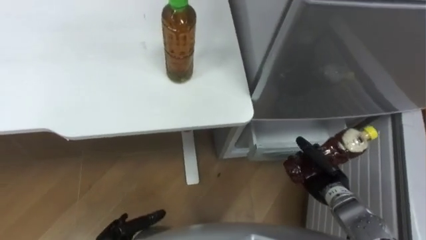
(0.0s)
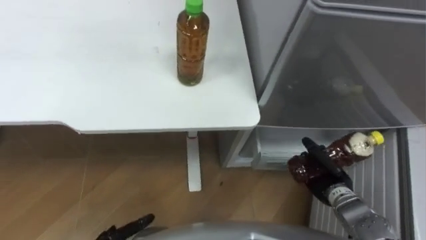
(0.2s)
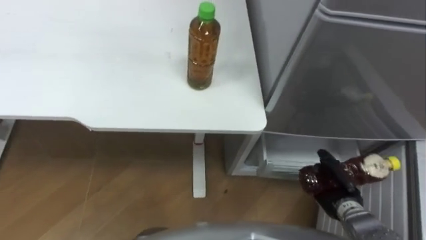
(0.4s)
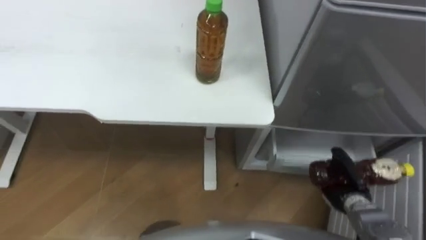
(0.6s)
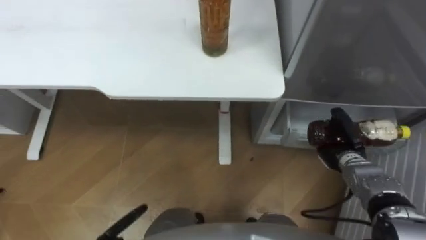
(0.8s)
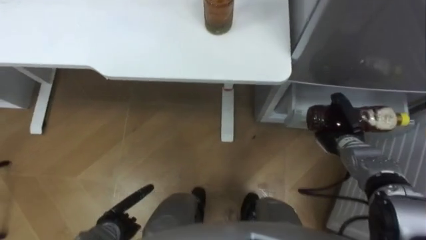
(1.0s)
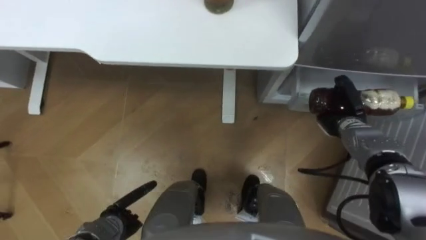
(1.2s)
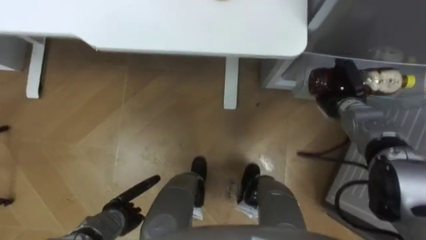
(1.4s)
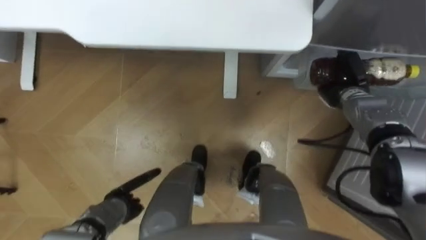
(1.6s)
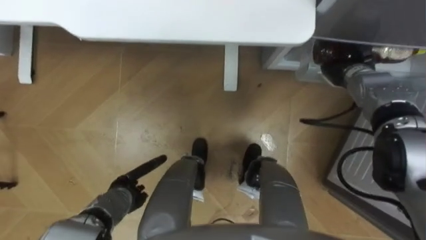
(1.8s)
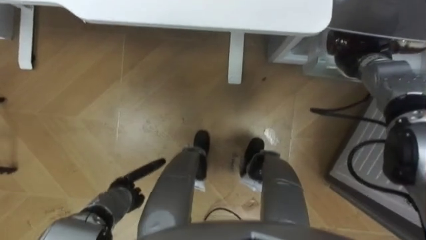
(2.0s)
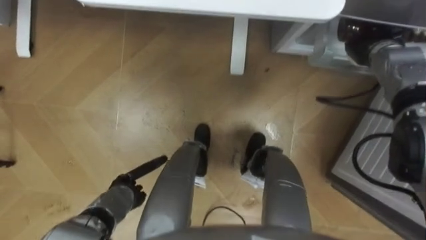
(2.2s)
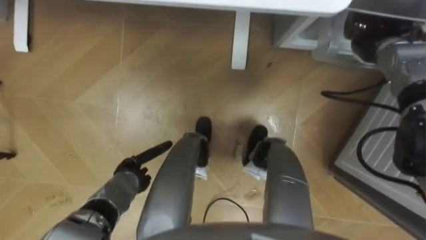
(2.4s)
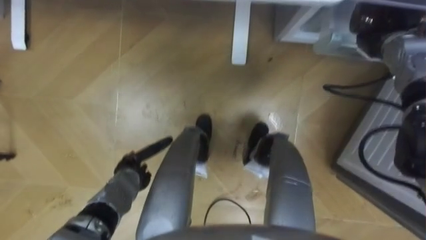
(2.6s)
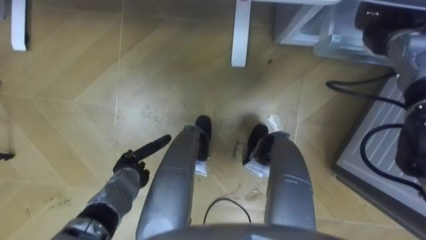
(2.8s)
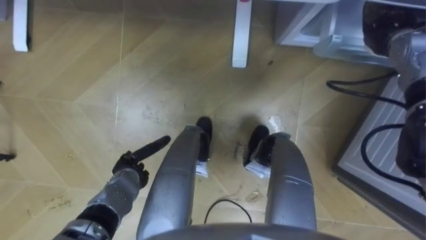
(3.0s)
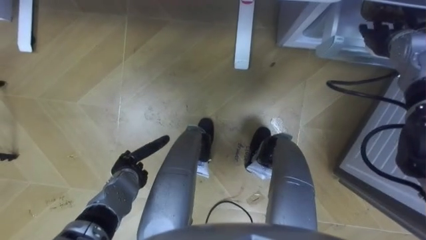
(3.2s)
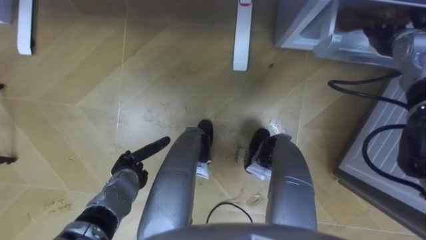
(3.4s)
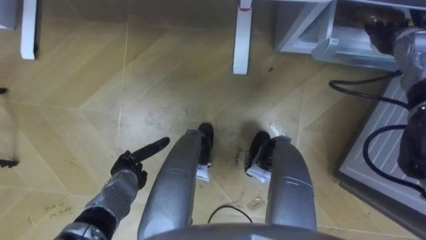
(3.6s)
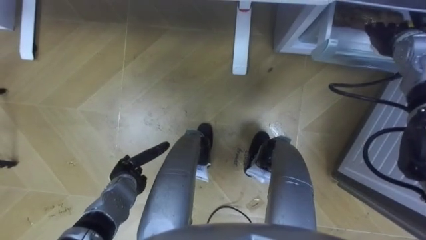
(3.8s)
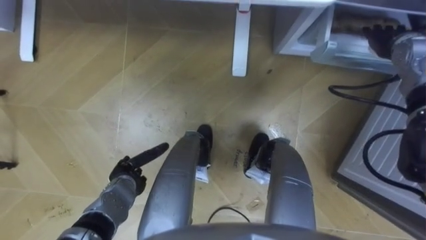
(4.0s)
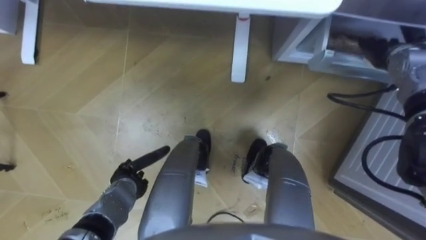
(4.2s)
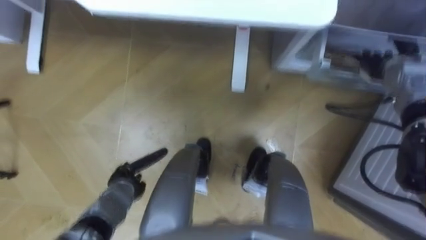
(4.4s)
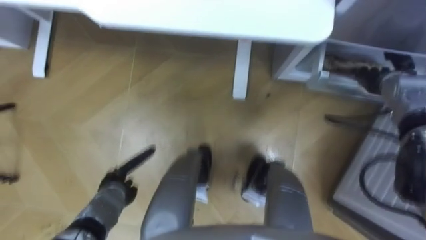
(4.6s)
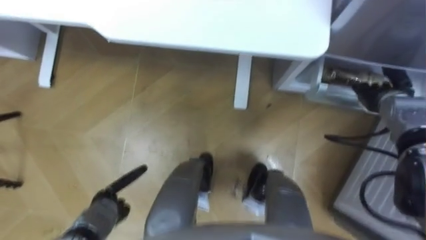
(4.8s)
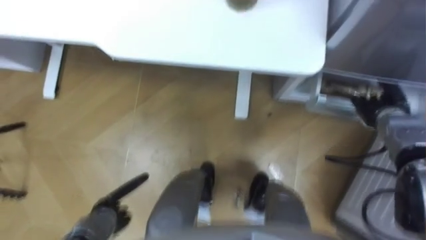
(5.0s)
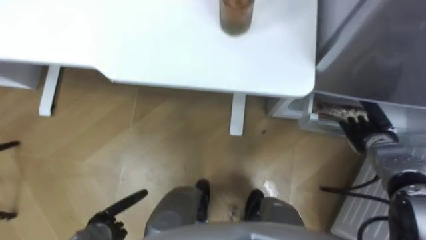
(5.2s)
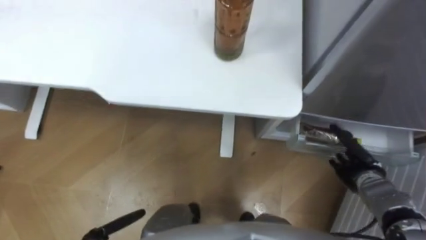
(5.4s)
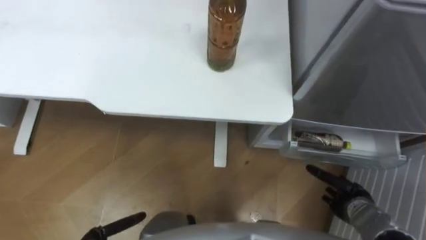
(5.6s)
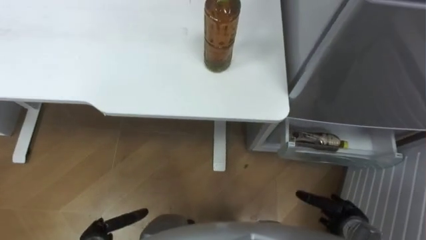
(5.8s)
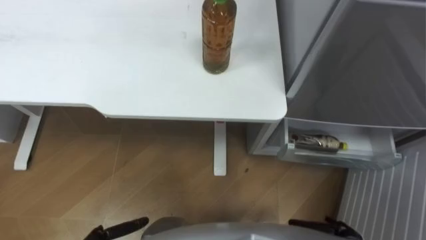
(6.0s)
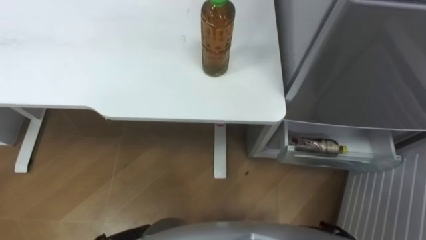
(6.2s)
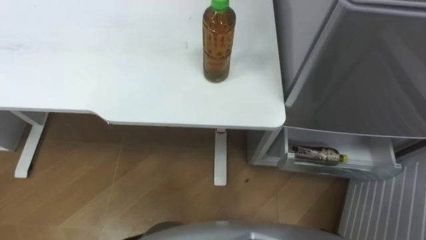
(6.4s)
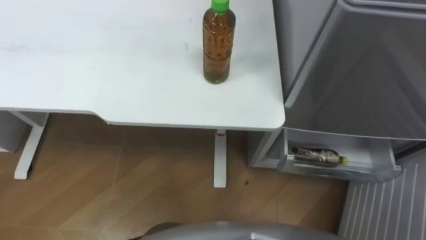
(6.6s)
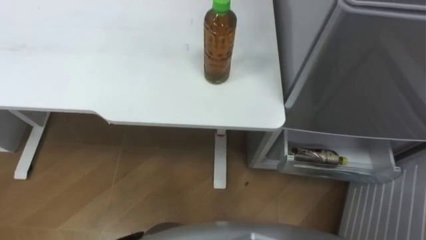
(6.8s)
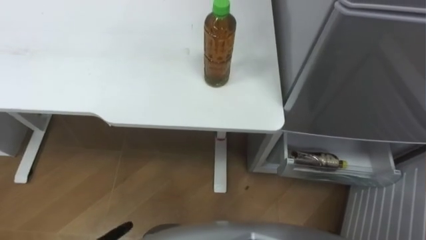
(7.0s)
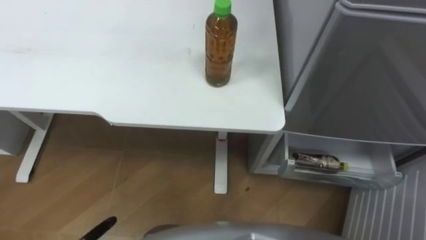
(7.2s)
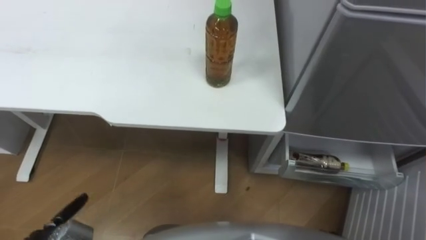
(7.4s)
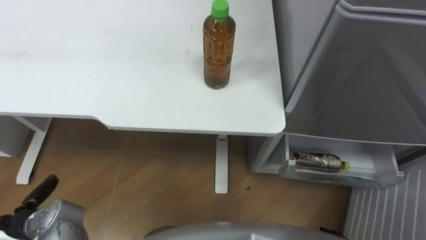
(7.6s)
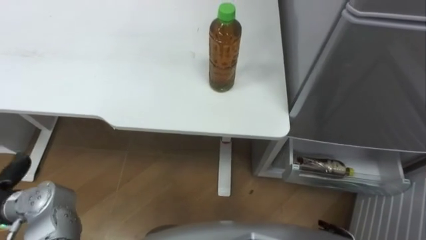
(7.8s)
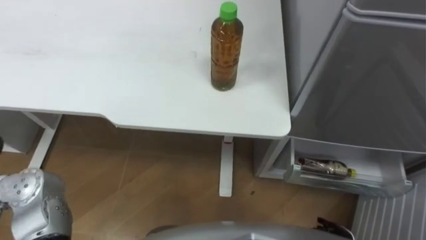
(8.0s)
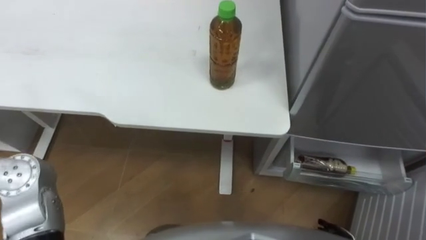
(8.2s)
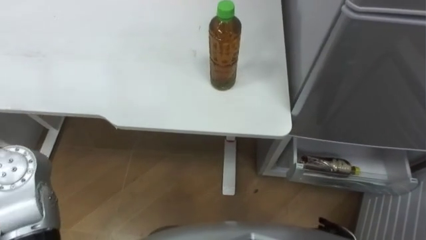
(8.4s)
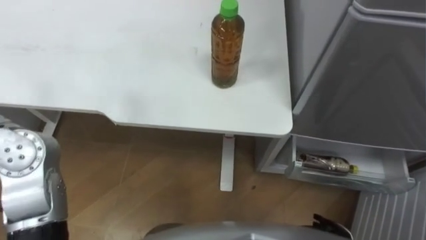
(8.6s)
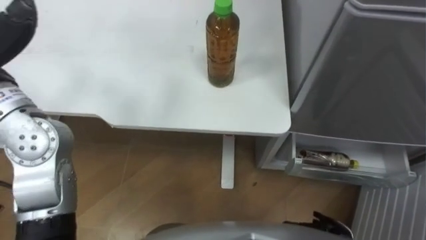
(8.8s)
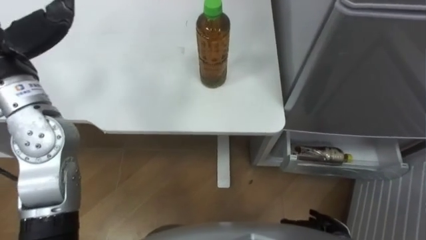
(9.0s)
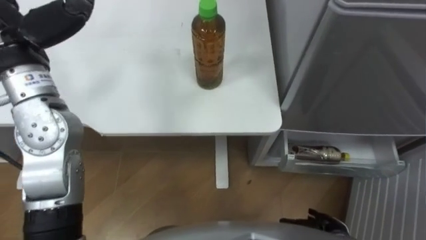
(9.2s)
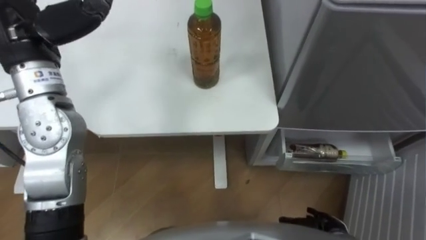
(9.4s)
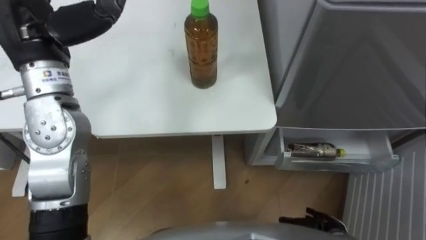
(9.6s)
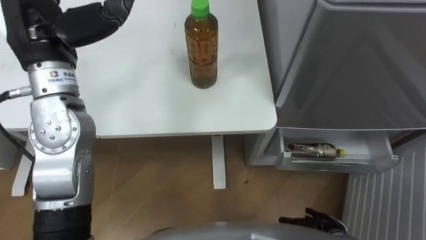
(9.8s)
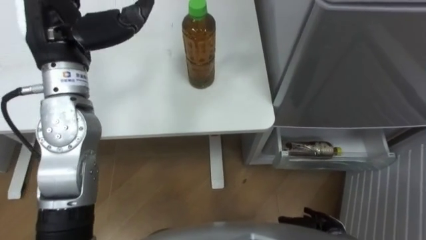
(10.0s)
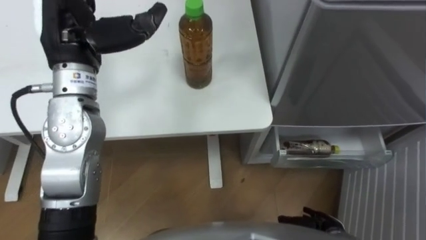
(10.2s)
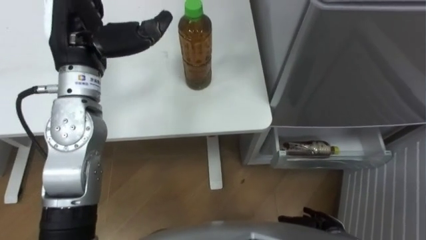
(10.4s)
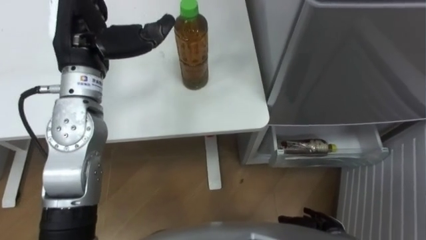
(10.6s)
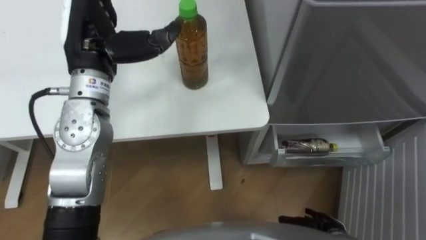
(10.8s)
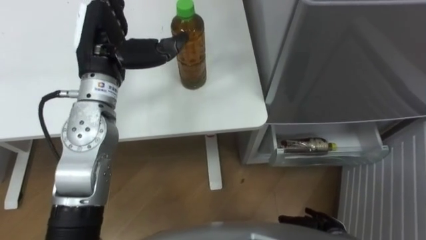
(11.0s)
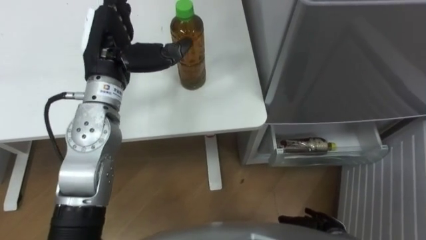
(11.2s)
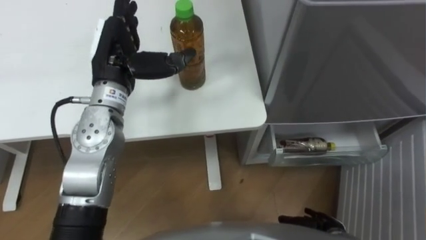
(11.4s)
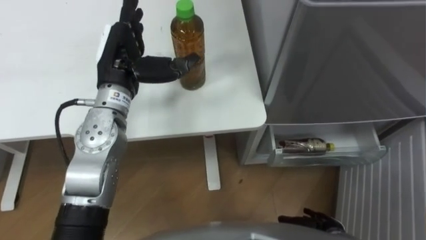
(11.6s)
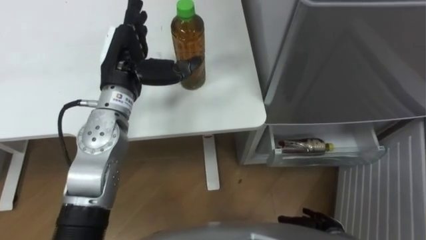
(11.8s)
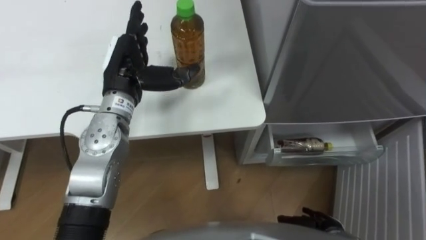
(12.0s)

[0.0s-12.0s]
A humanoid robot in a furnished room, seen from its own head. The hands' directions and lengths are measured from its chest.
Task of the whole recording: Place the drink on the table on the bottom shelf of the refrigerator, then close the drawer and the refrigerator door.
0.0s to 1.6s: The right hand shifts about 20 cm forward and upward.
1.6s to 3.0s: The left hand moves forward, approximately 5 cm. Meanwhile the right hand is displaced upward, to the right and forward by some 15 cm, and opens its fingers.
3.0s to 4.4s: The right hand ends up about 5 cm from where it was.
4.4s to 6.0s: The right hand heads backward and downward, covering approximately 40 cm.
10.4s to 12.0s: The left hand shifts some 10 cm downward.

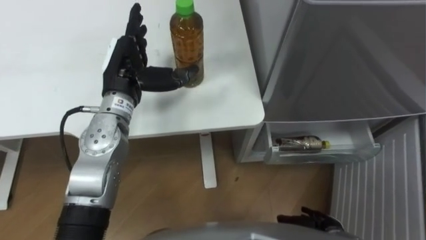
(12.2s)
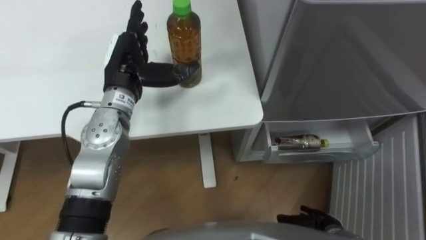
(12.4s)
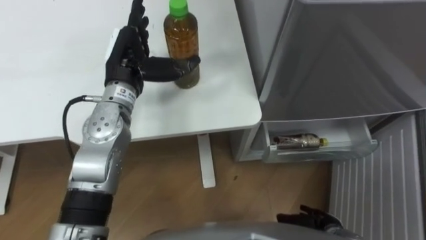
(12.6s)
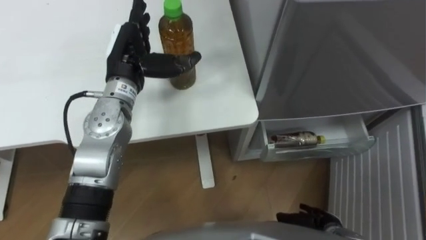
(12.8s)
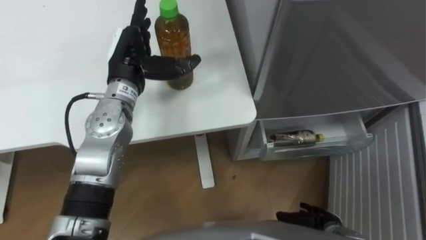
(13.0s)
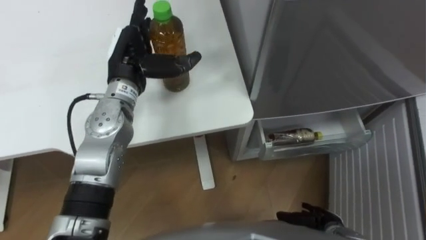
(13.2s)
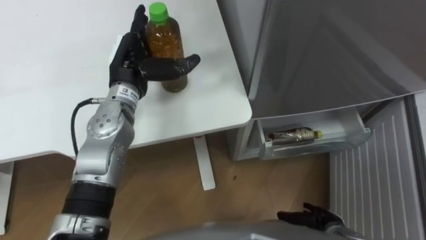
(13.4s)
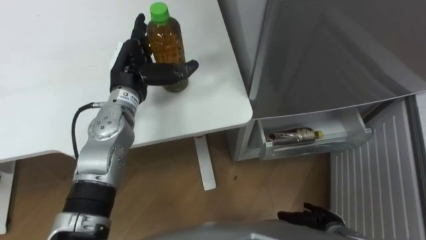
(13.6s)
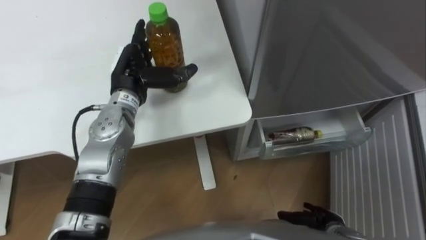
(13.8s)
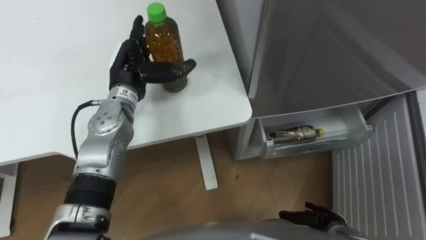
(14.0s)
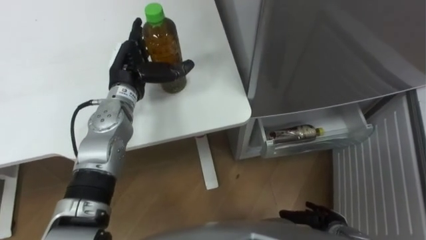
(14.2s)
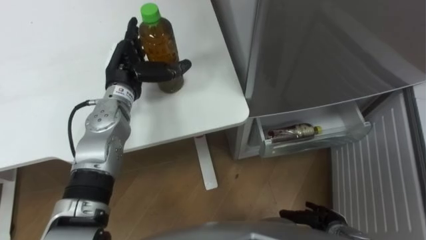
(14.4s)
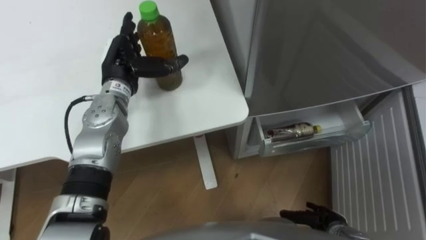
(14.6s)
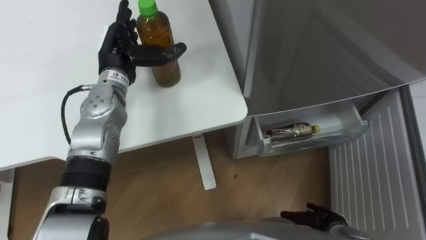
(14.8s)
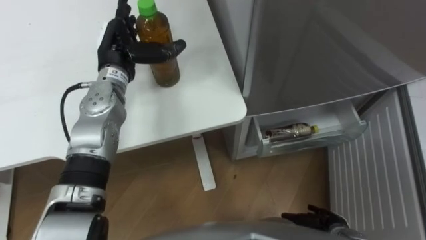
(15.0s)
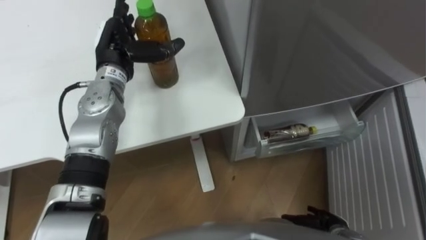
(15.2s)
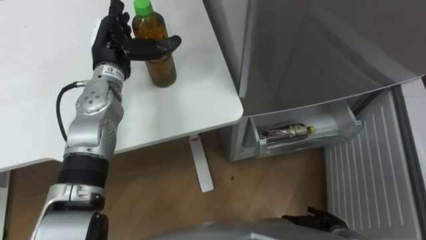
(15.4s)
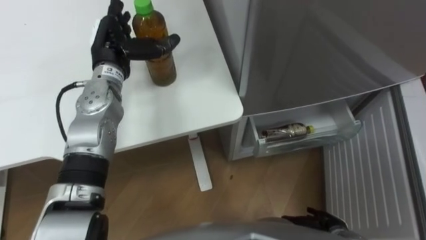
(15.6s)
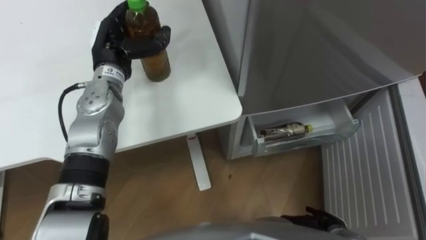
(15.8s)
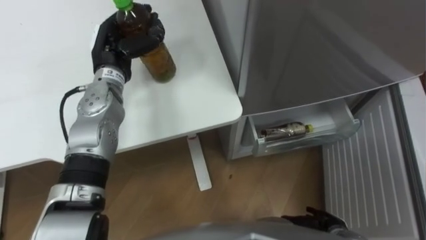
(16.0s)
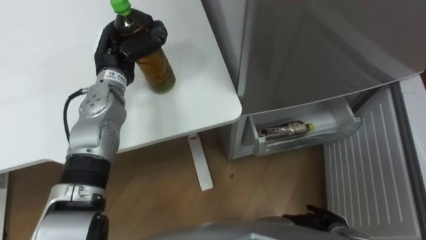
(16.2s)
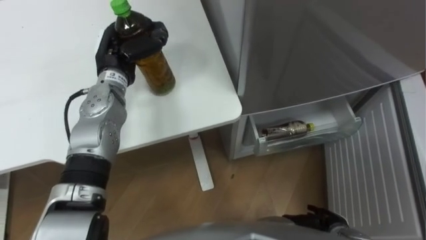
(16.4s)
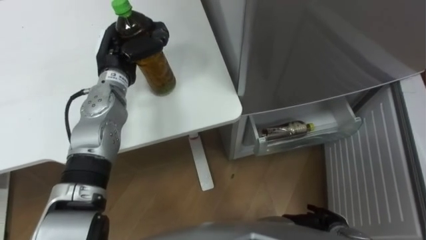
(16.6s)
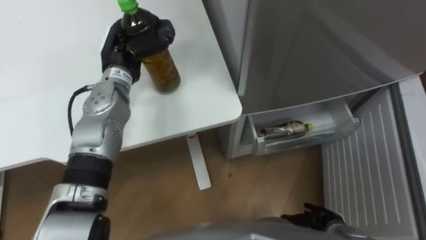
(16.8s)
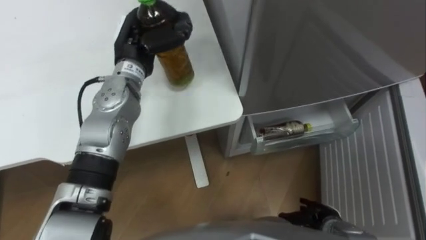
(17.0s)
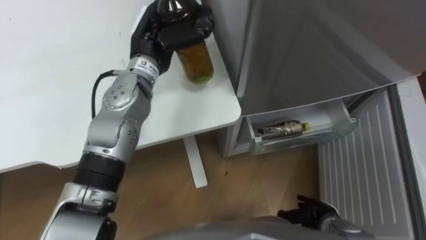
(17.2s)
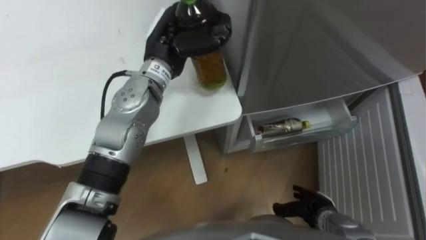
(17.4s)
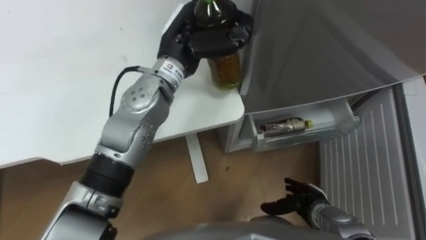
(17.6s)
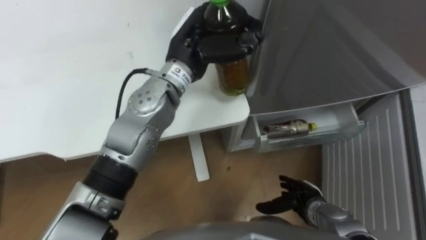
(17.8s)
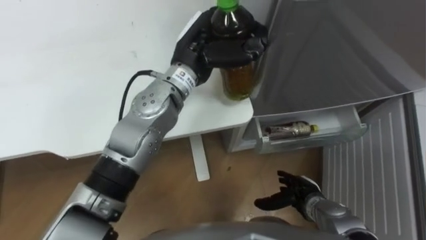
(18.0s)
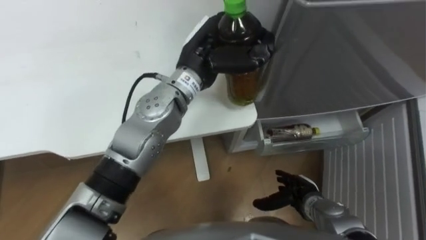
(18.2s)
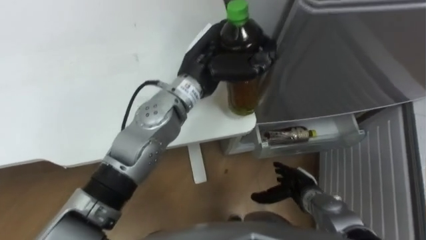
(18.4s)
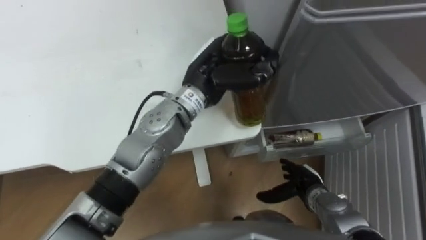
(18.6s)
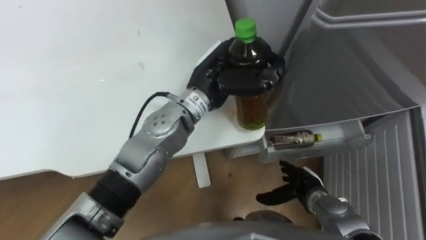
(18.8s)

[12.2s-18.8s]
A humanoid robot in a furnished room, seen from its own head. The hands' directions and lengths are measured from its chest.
Task of the whole recording: Place the drink on the table on the bottom shelf of the refrigerator, then close the drawer and the refrigerator door.
13.8s to 15.4s: The left hand shifts by some 5 cm.
15.4s to 17.2s: The left hand moves to the right, roughly 10 cm, and closes its fingers.
17.2s to 18.8s: The left hand heads to the right and backward, covering approximately 15 cm. Meanwhile the right hand is displaced forward by some 5 cm.
